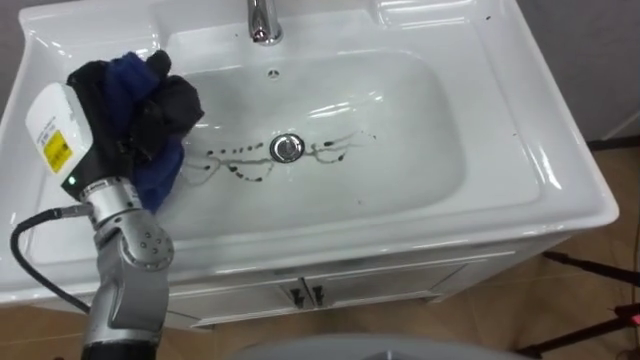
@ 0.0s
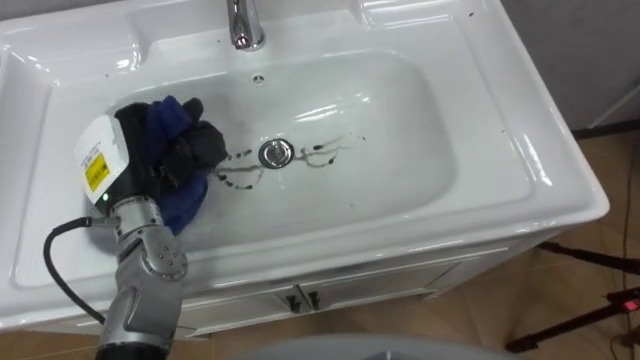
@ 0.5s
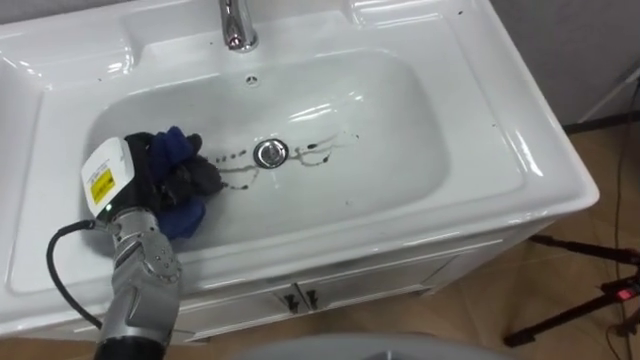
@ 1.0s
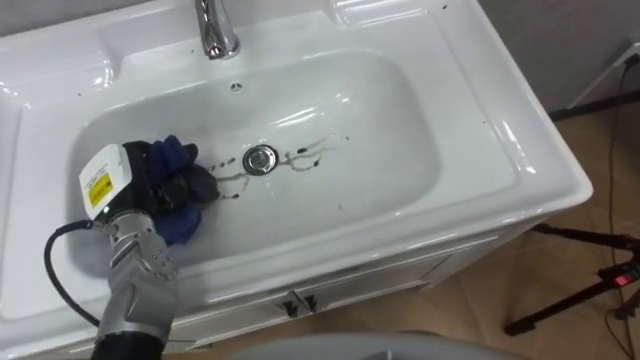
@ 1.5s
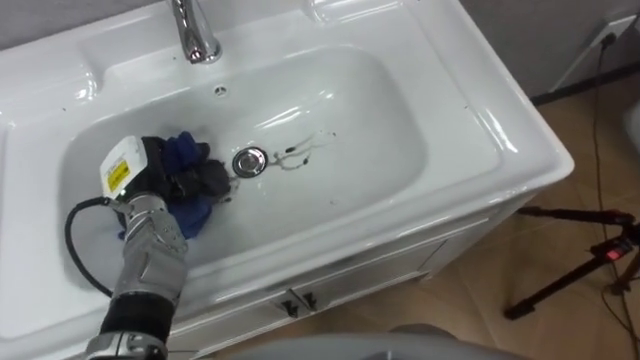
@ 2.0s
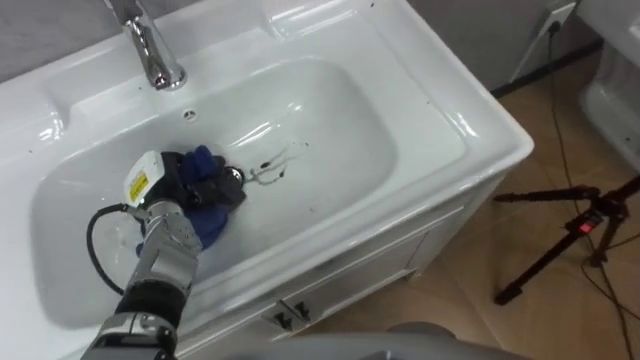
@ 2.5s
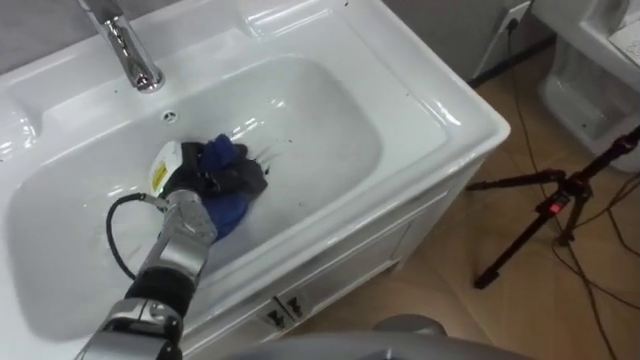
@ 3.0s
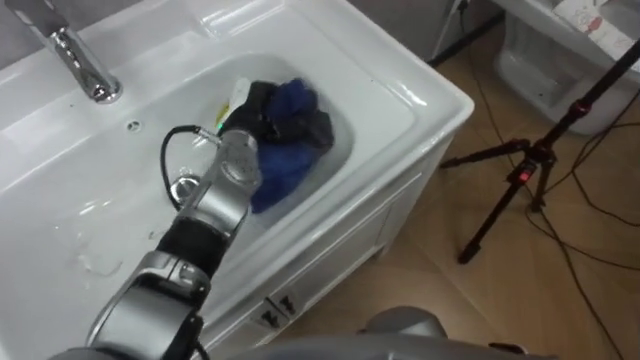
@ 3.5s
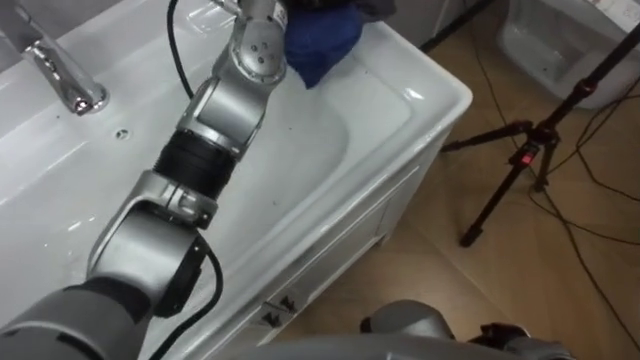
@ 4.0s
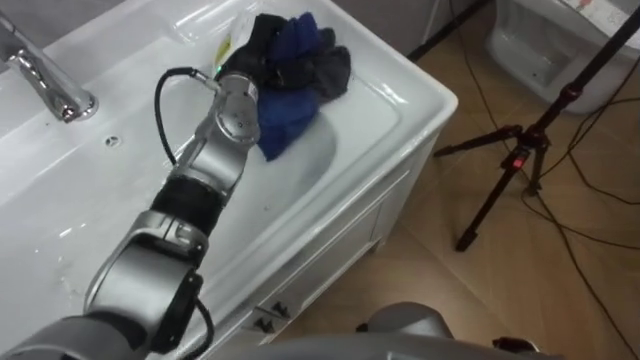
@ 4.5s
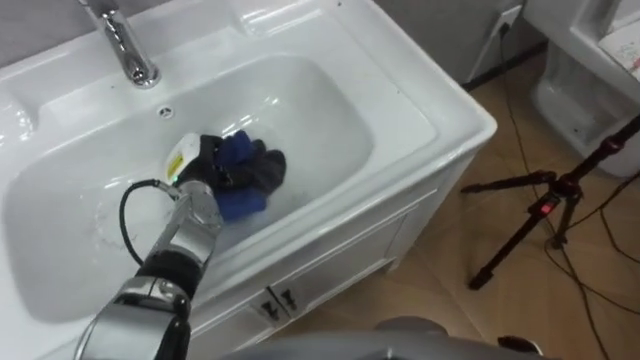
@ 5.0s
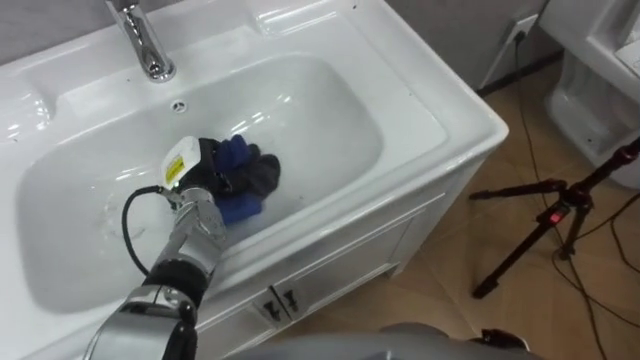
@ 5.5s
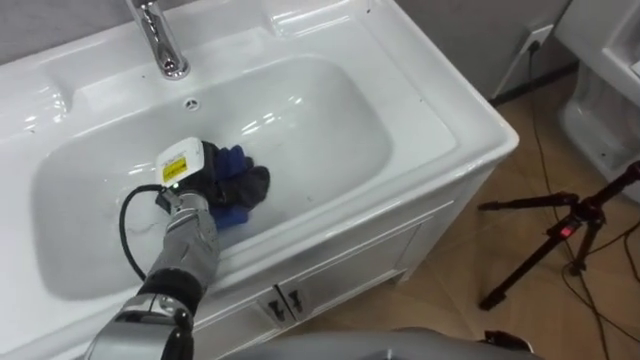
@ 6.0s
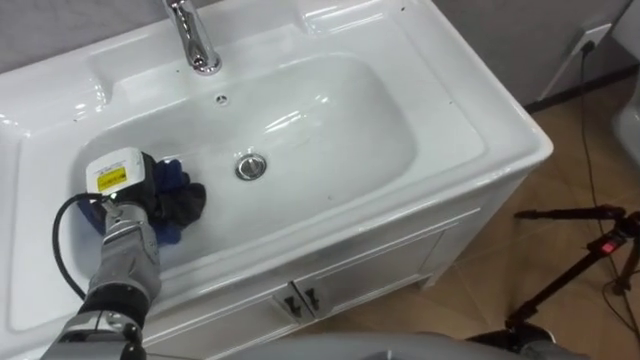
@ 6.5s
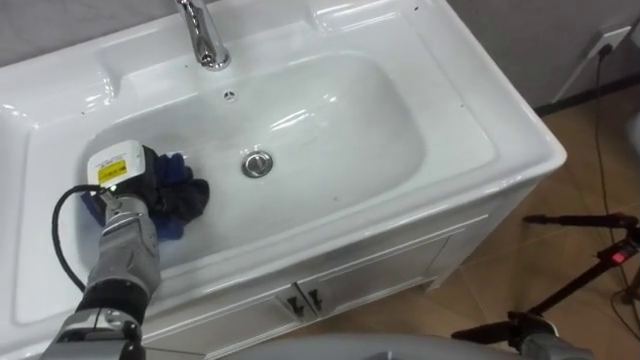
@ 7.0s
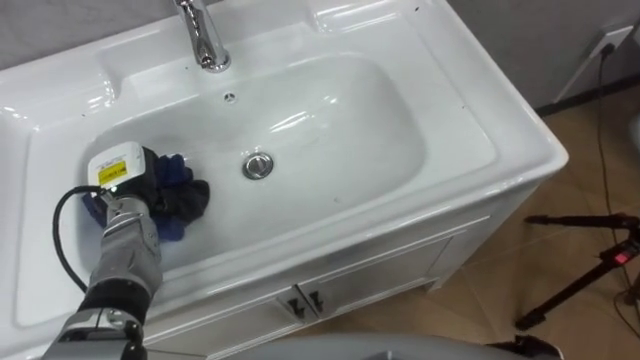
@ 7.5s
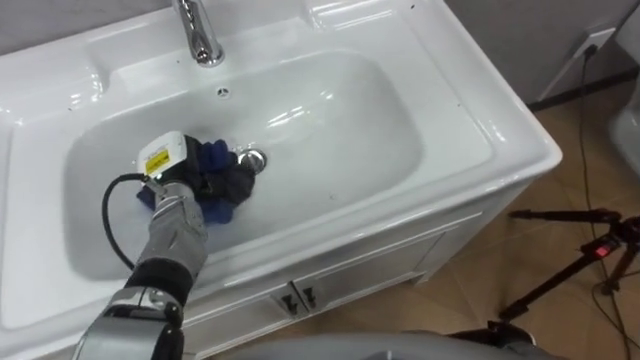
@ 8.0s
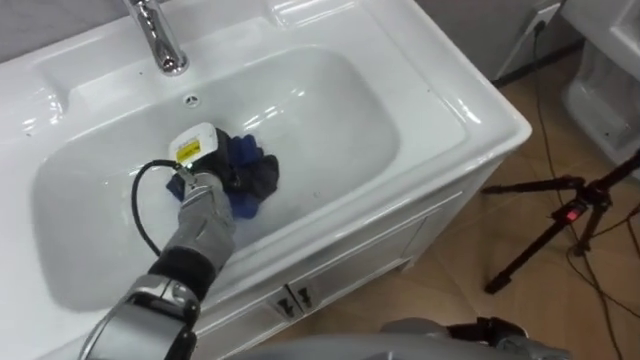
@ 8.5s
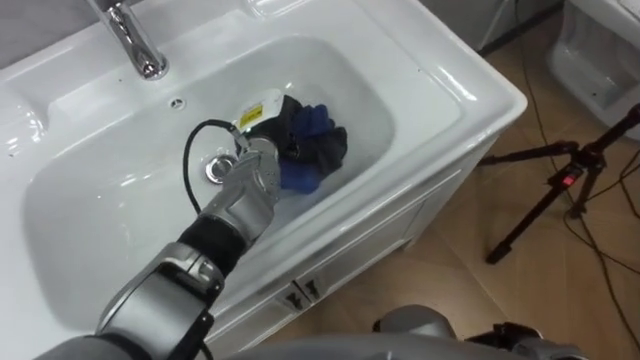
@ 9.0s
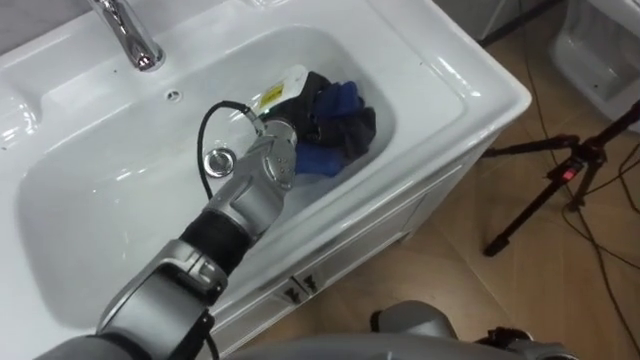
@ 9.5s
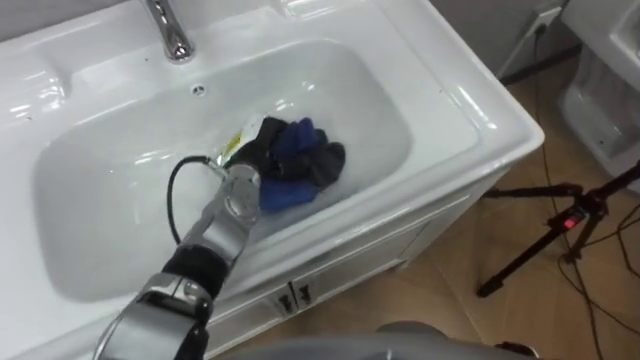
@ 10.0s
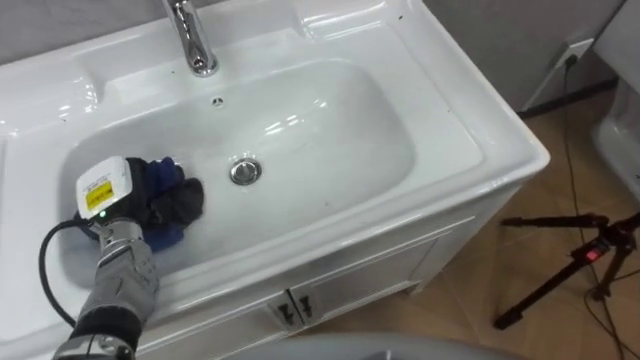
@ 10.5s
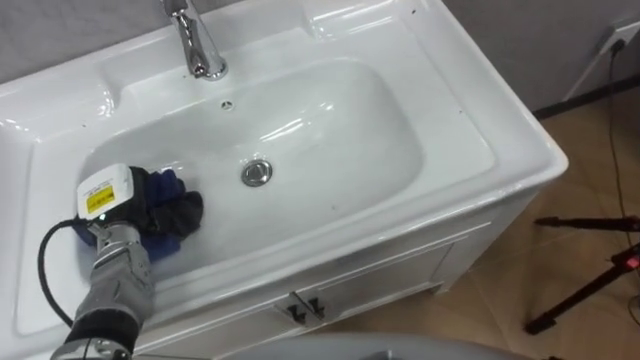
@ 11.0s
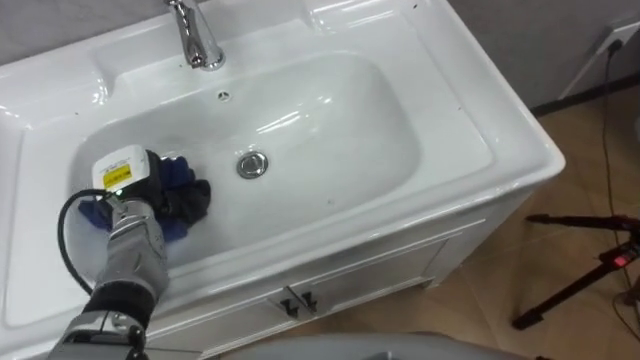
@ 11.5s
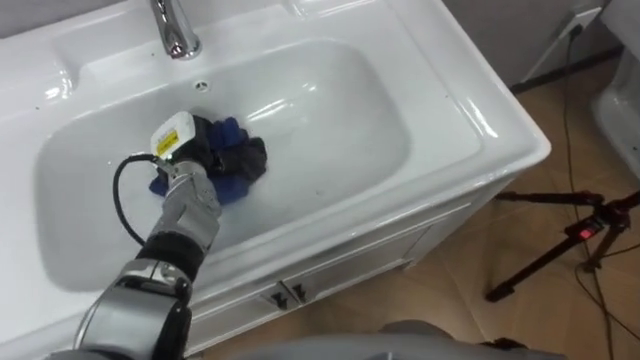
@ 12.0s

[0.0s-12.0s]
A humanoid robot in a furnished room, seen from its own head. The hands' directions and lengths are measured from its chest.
Task of the whole recording: Use the cloth on the right to wipe away the black stain in the sink.
0.0s to 2.0s: The left hand goes some 10 cm downward.
6.0s to 8.0s: The left hand travels to the left and back again, approximately 10 cm each way.
8.0s to 10.0s: The left hand moves to the right, approximately 10 cm.
10.0s to 12.0s: The left hand is displaced to the left by about 10 cm.

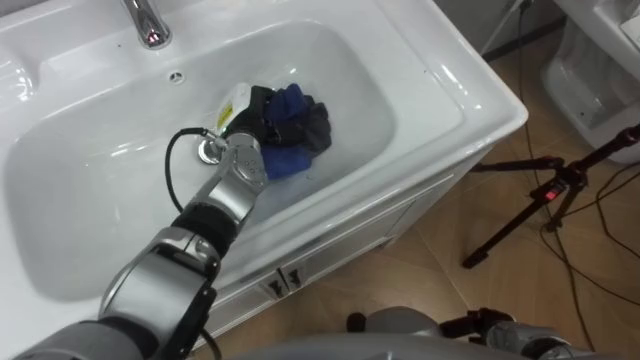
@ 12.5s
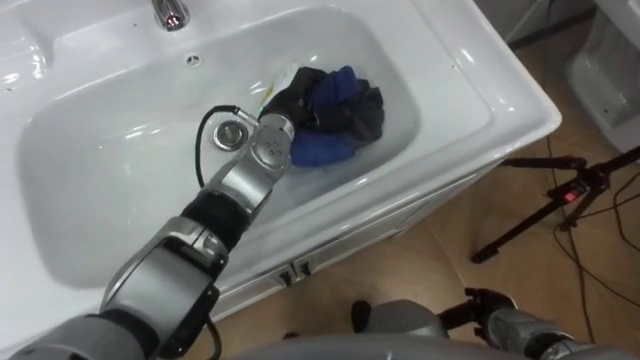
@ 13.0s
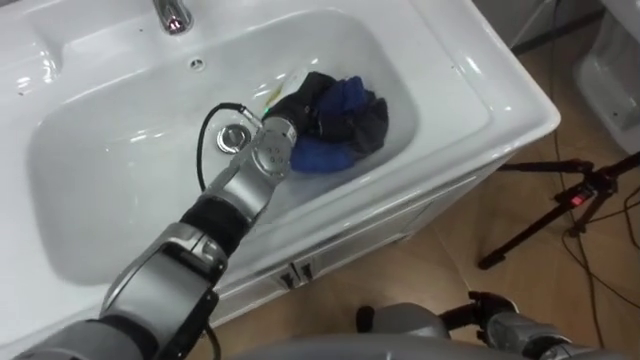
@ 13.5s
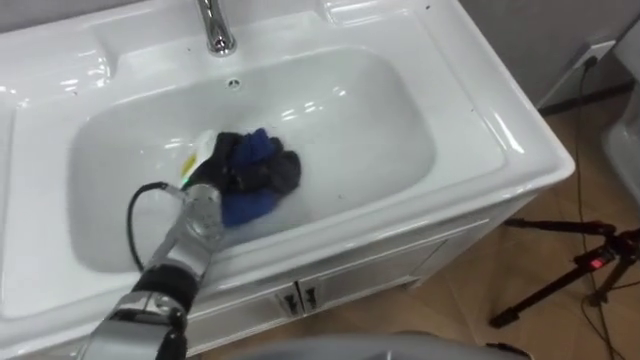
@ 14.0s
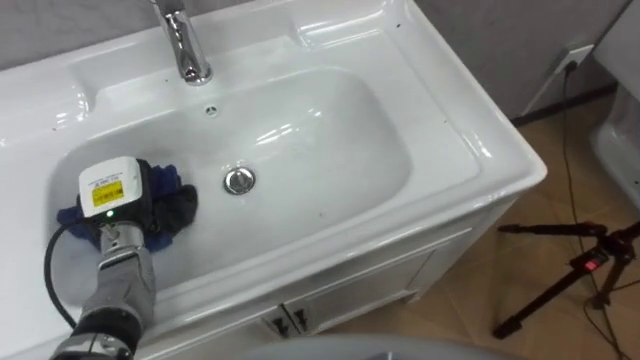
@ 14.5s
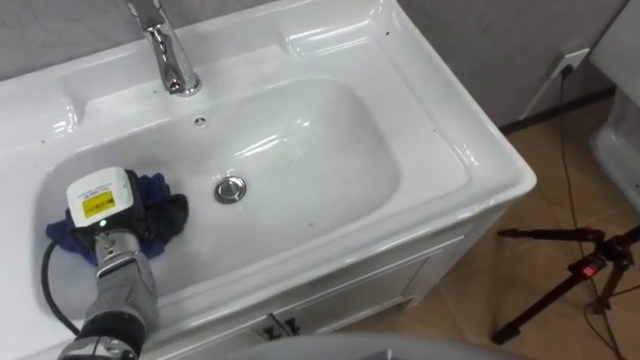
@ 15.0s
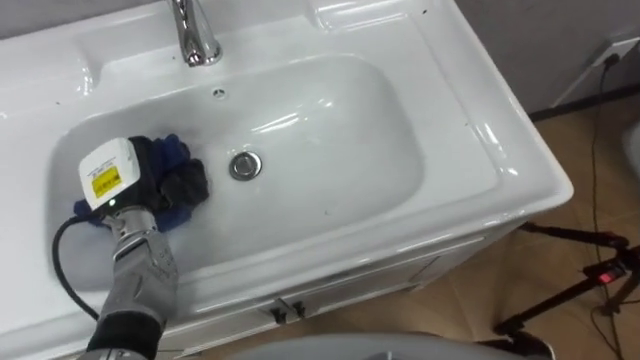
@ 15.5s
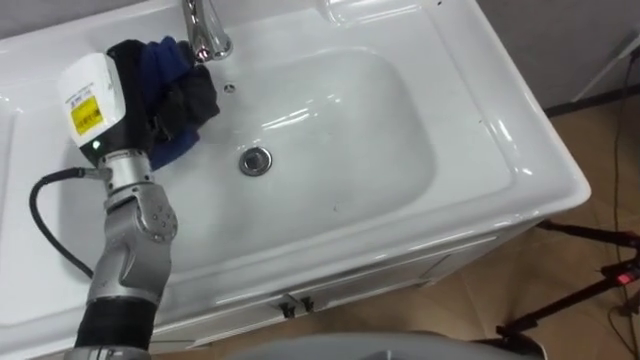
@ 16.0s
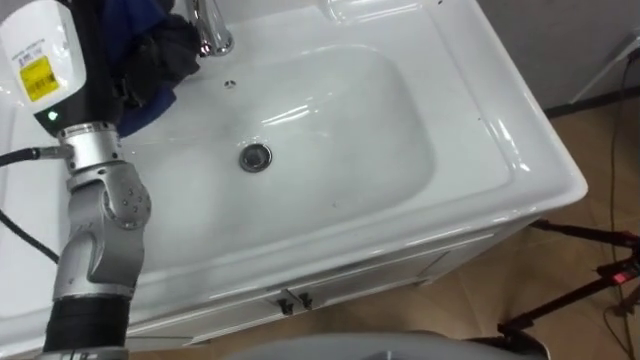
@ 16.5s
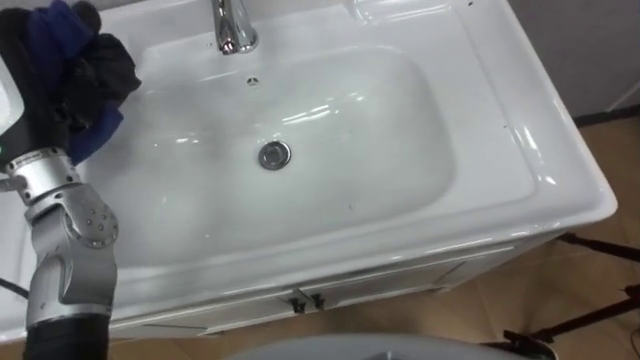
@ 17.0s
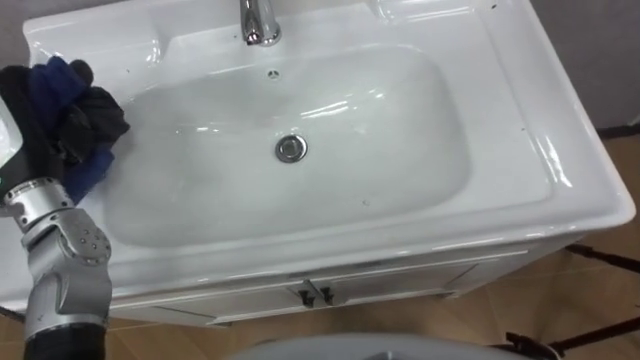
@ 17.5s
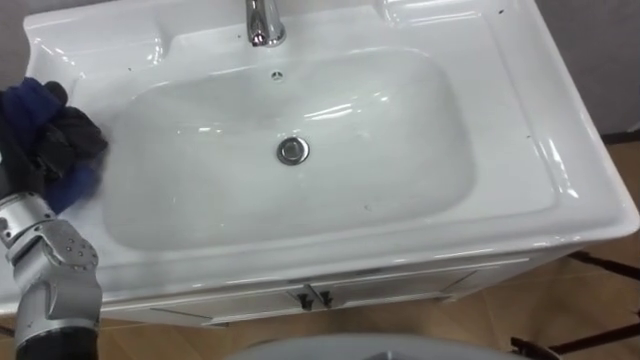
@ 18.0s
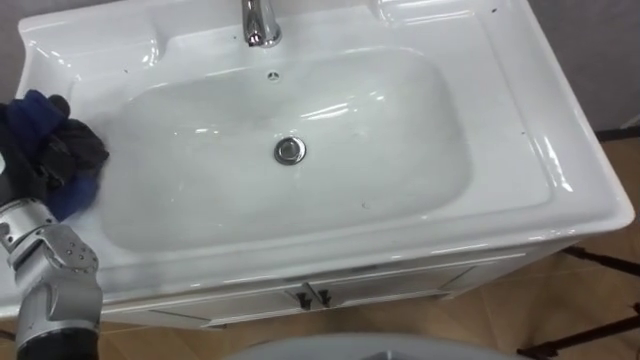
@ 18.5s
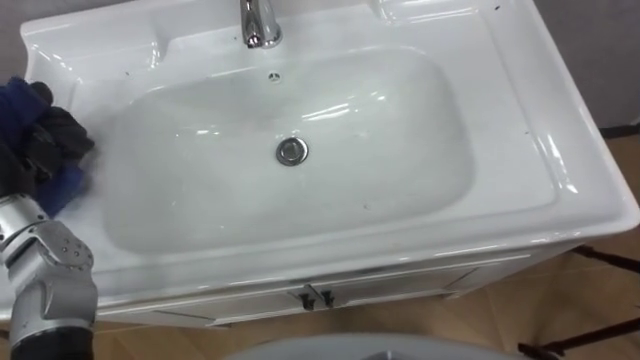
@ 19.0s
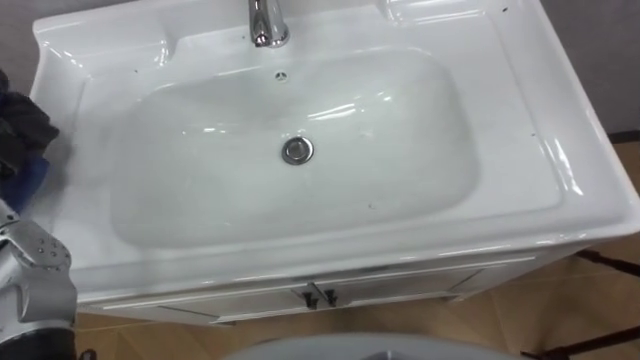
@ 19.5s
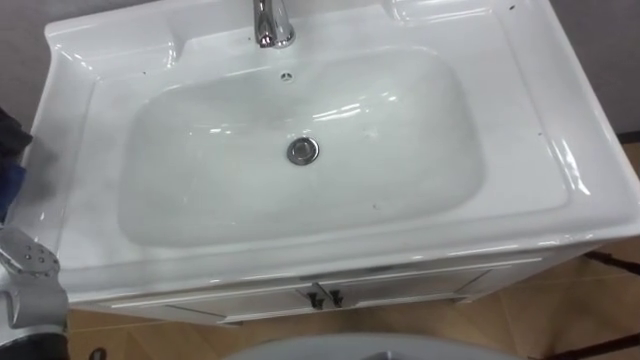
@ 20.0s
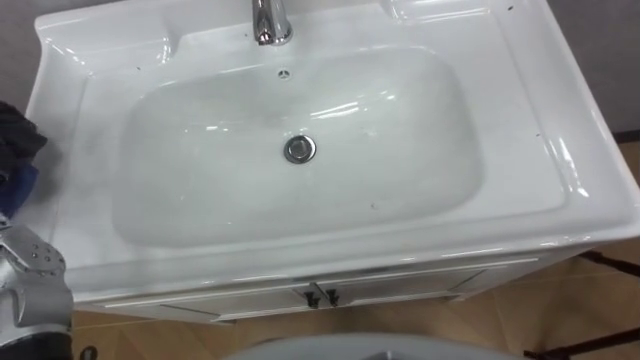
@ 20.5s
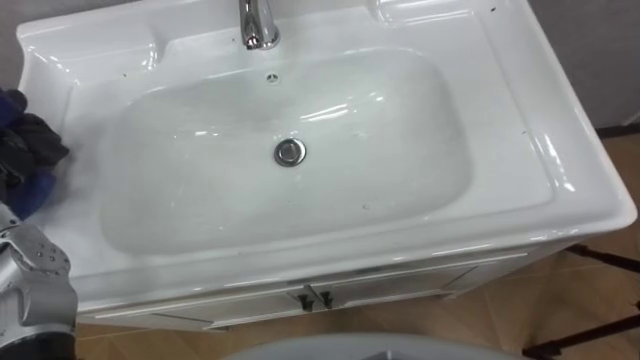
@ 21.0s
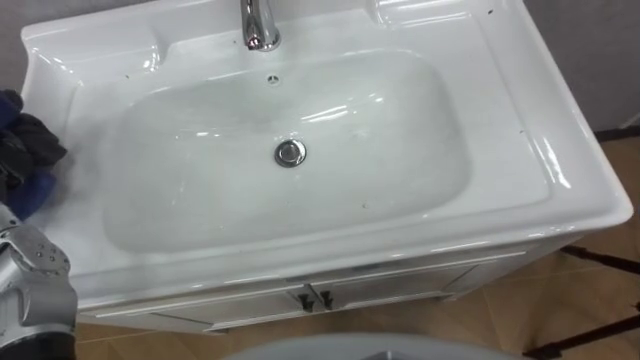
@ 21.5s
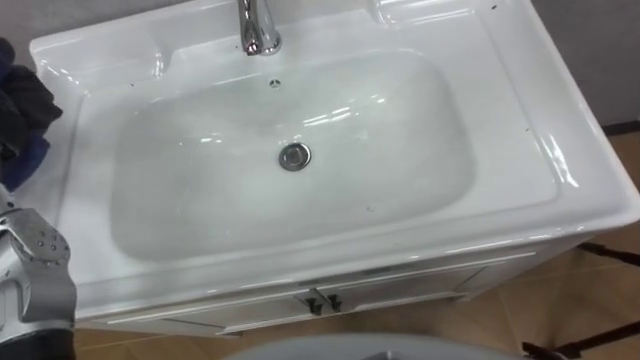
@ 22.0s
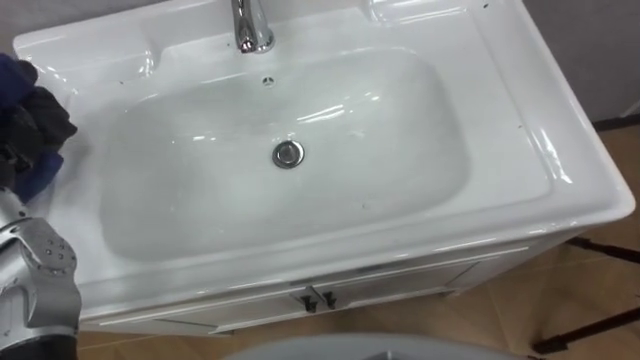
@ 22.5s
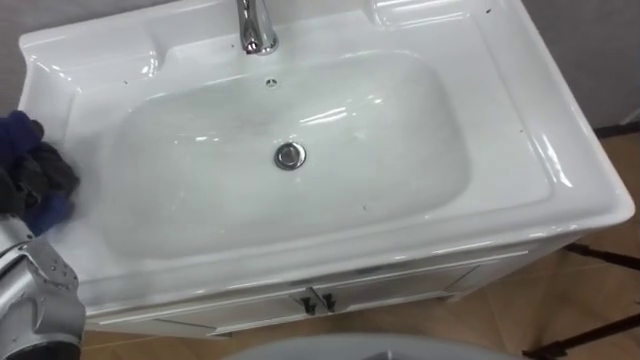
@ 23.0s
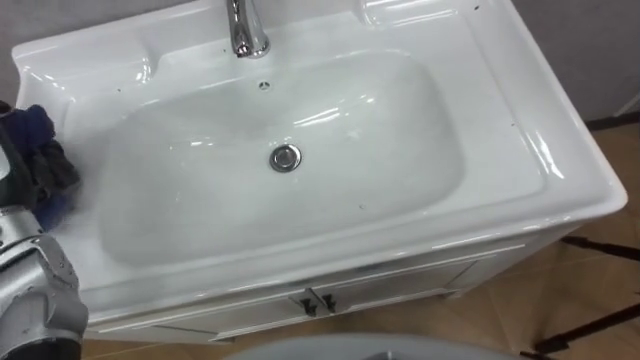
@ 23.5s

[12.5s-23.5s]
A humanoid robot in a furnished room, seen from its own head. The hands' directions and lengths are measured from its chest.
Task of the whole recording: Use the cloth on the right to wipe away the black stain in the sink.
12.5s to 14.5s: The left hand goes approximately 20 cm to the left and backward.
14.5s to 16.0s: The left hand is displaced upward by approximately 15 cm.
